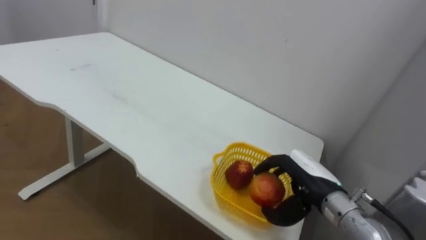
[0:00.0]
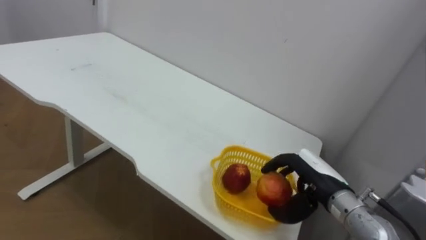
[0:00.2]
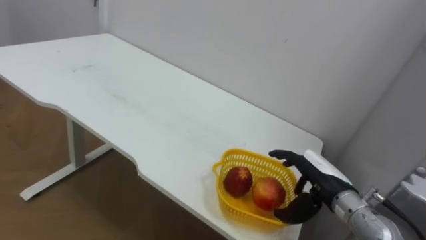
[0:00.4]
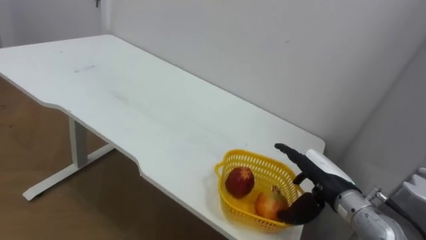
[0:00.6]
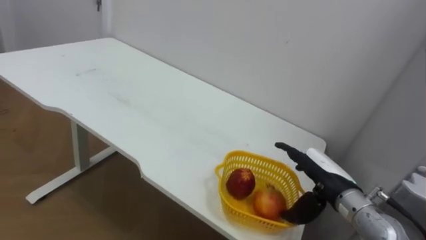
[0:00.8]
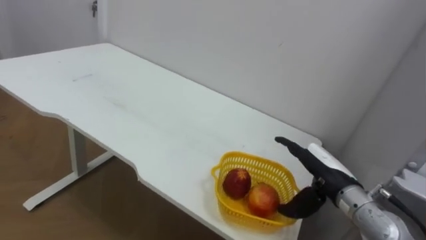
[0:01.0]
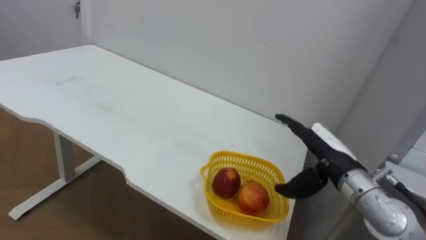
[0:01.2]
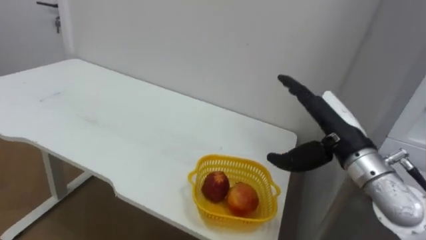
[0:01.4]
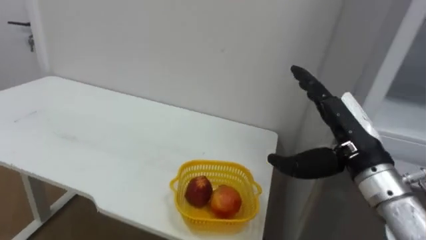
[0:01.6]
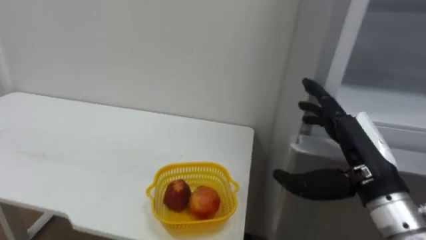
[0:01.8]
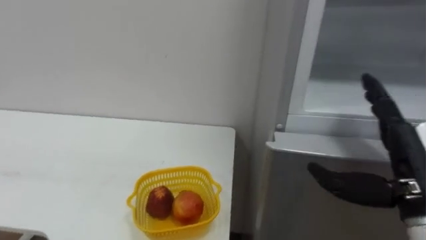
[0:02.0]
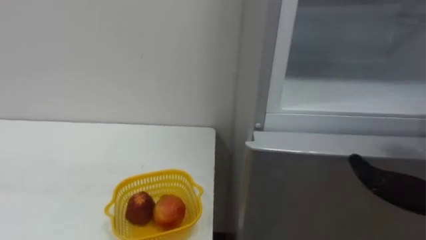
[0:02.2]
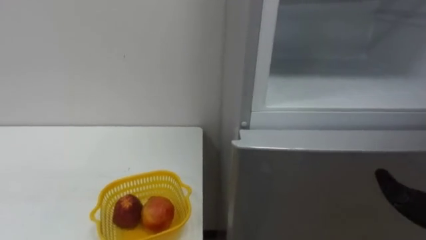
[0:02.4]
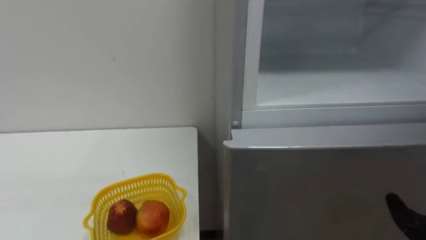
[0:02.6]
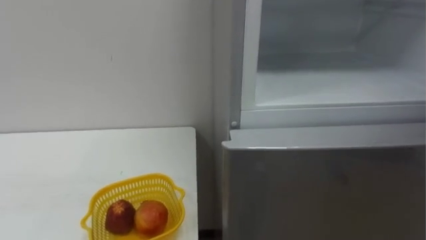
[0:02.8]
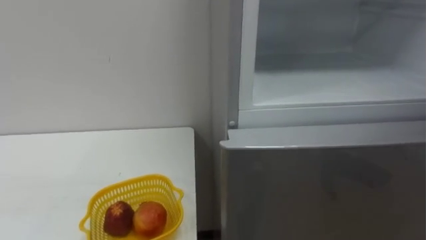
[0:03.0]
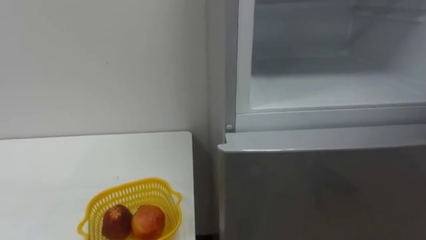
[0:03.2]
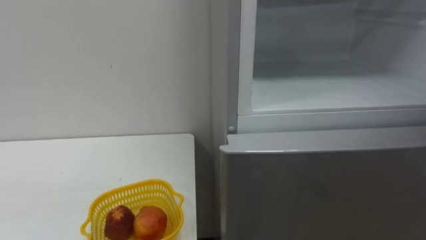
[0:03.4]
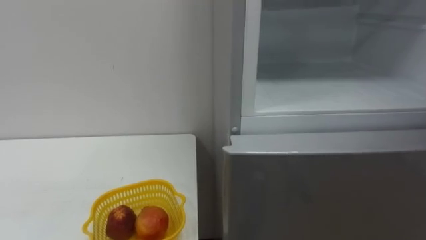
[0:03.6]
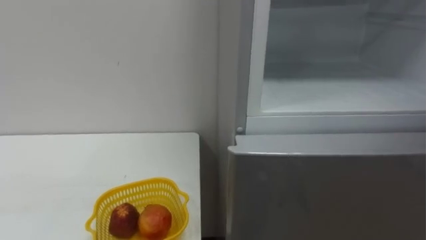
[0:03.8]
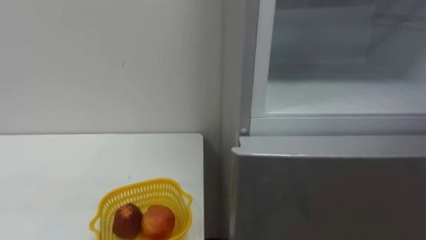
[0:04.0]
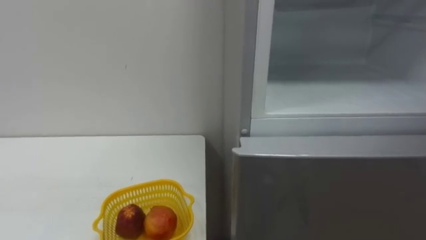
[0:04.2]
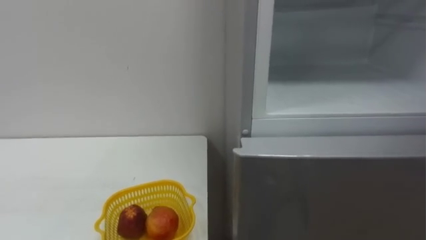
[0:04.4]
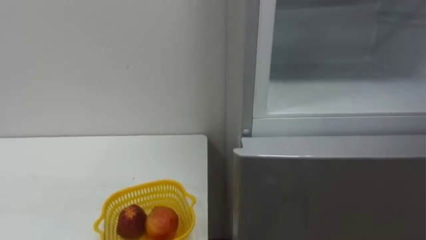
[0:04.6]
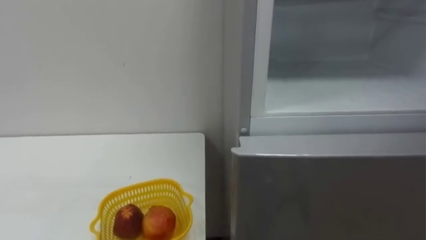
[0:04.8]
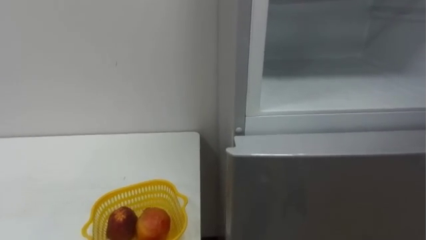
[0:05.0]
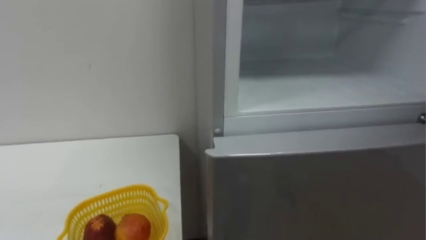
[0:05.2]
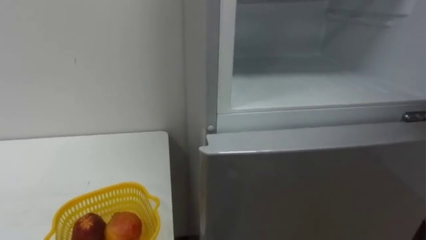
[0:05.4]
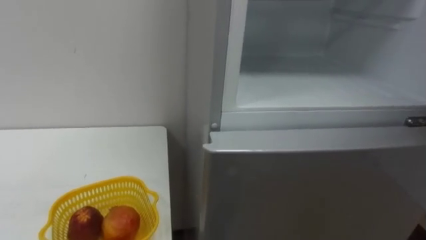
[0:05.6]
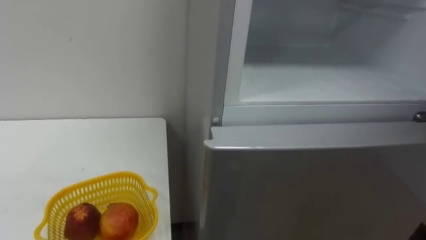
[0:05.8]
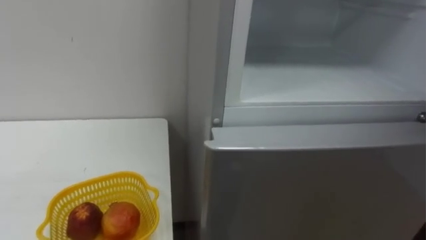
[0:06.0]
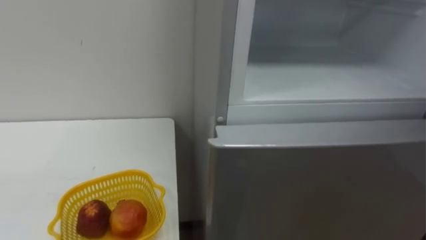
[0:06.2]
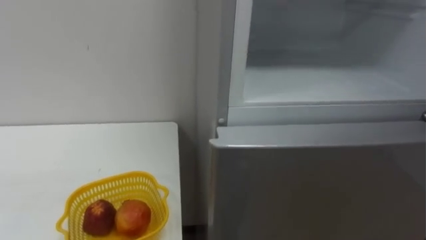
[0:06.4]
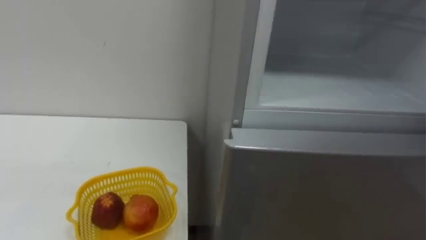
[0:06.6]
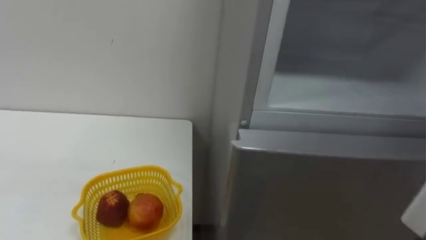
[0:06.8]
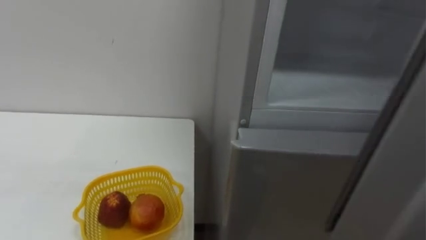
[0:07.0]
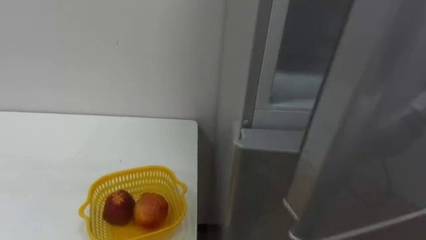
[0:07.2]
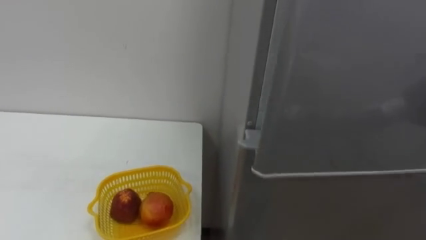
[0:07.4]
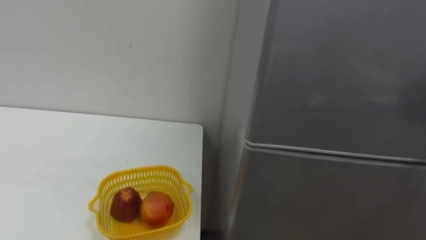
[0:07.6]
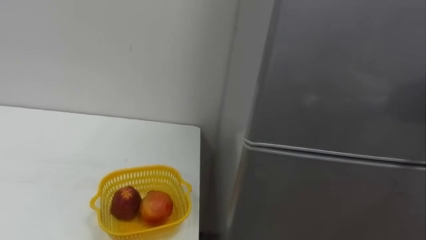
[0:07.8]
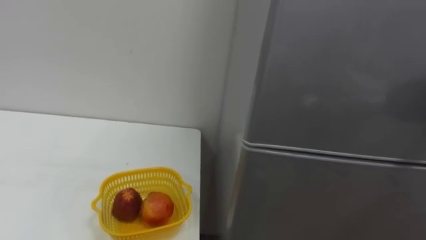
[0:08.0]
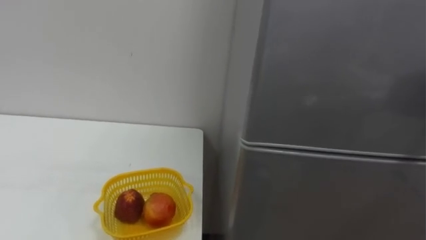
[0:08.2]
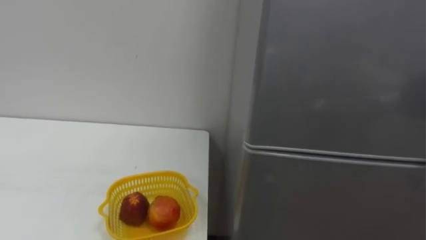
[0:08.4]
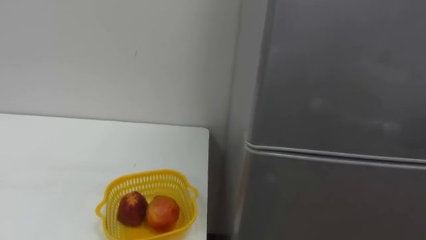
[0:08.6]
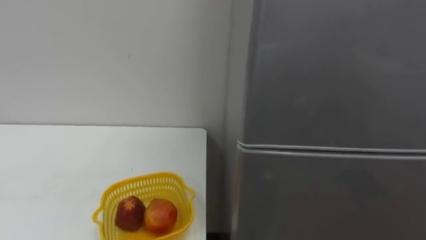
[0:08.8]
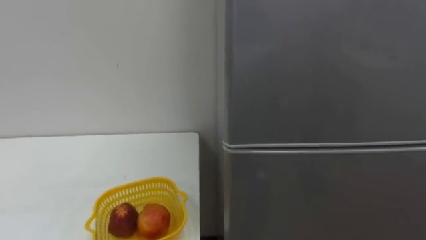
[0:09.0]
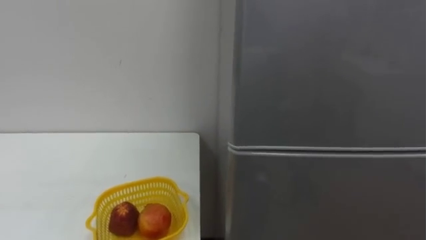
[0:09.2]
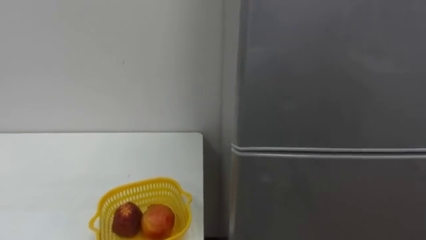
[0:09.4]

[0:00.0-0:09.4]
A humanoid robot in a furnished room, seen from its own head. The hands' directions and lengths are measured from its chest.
Task of the whole recording: Open the refrigerator door, take out the apple and the pomegranate, place them in the fruit basket on the left, and close the refrigerator door.
0:00.0 to 0:01.6: The right hand shifts about 10 cm upward, and opens its fingers.

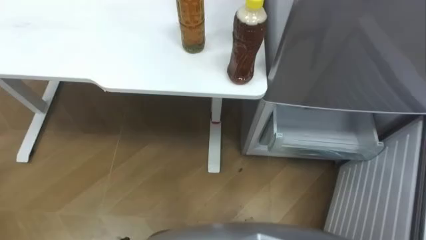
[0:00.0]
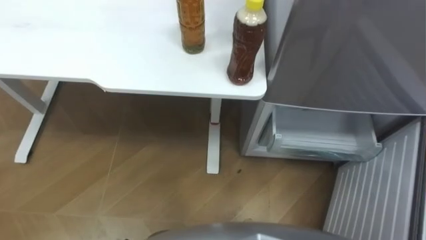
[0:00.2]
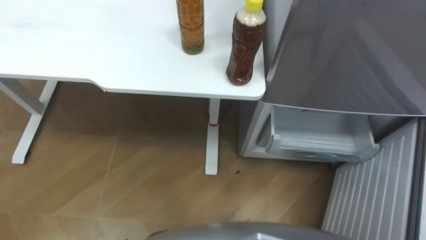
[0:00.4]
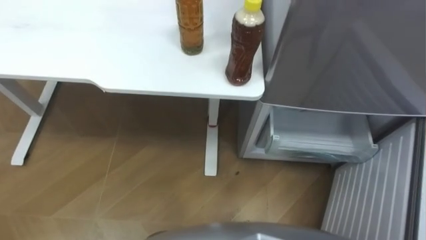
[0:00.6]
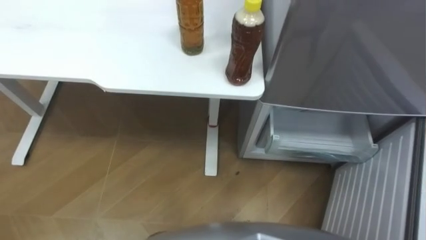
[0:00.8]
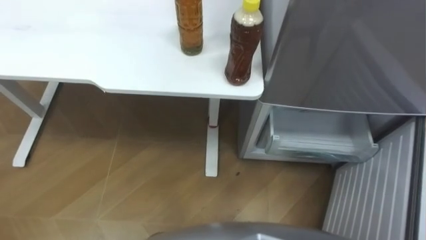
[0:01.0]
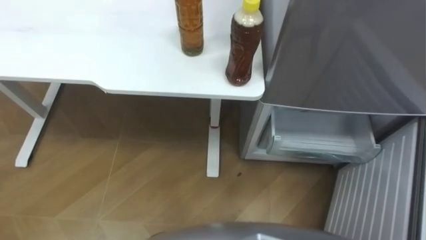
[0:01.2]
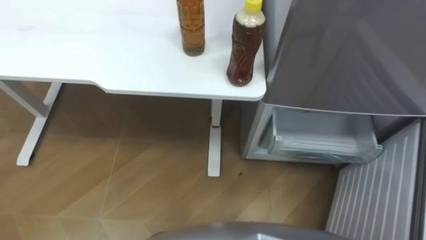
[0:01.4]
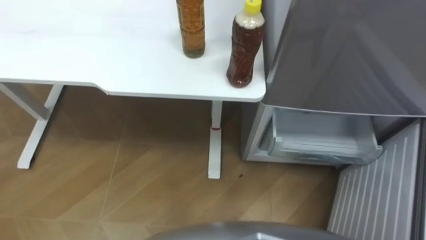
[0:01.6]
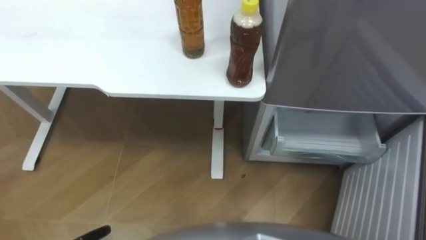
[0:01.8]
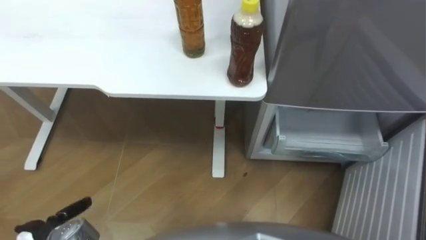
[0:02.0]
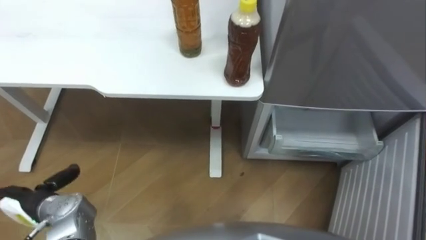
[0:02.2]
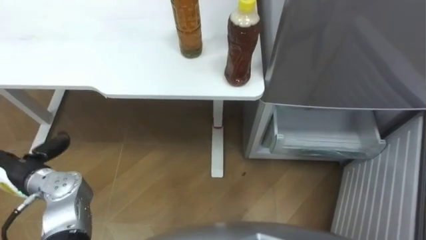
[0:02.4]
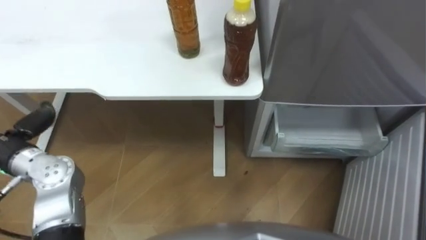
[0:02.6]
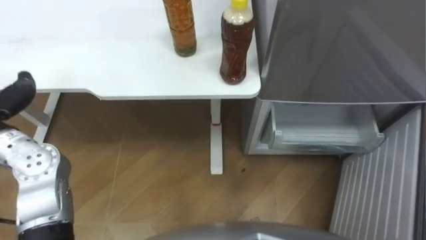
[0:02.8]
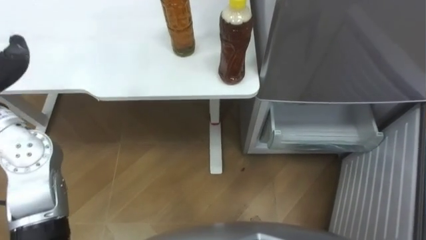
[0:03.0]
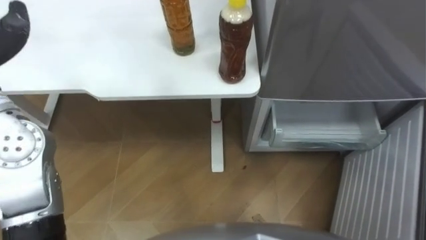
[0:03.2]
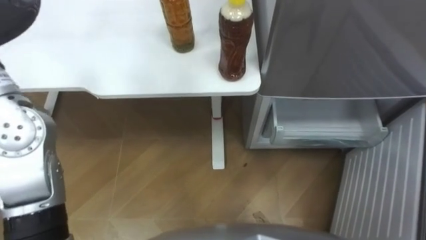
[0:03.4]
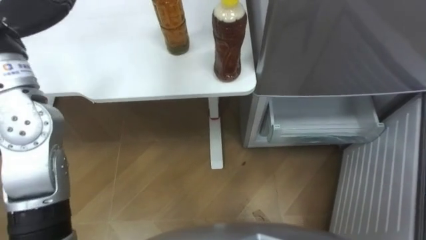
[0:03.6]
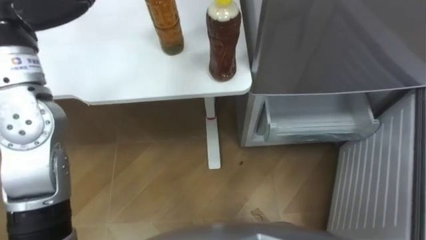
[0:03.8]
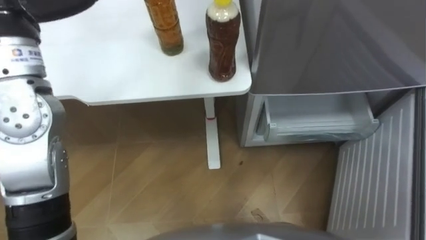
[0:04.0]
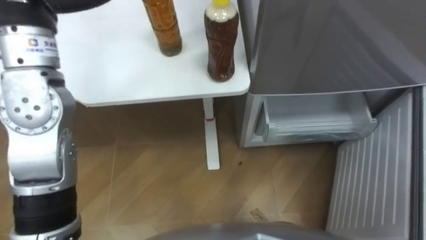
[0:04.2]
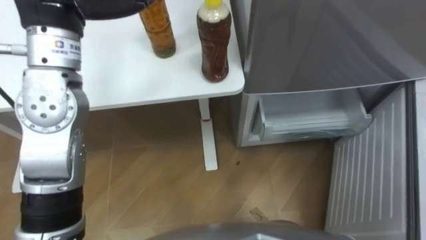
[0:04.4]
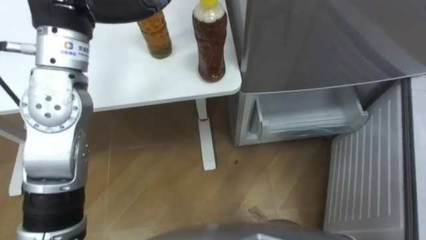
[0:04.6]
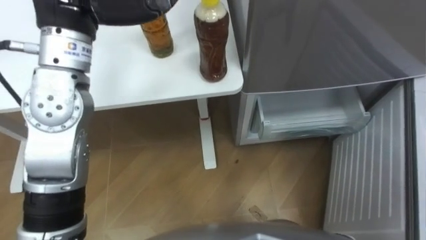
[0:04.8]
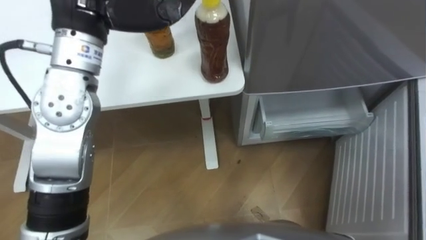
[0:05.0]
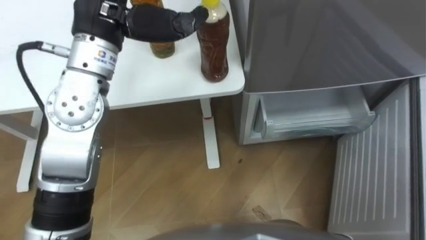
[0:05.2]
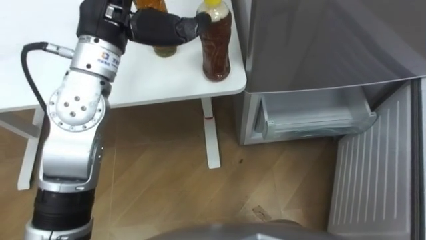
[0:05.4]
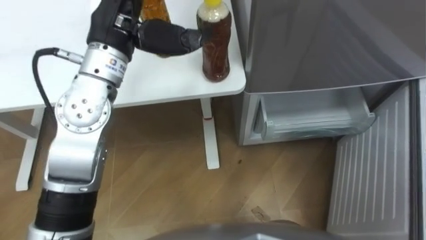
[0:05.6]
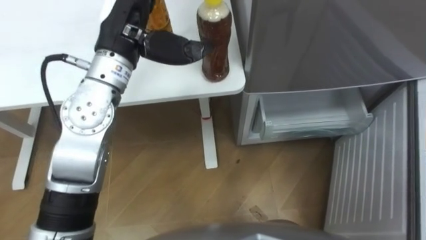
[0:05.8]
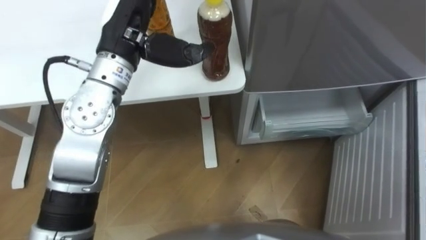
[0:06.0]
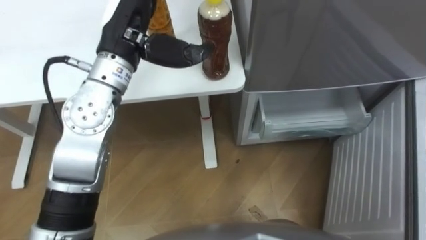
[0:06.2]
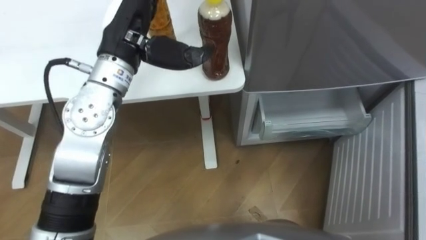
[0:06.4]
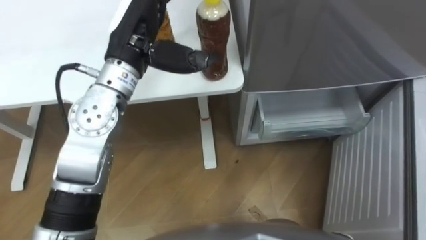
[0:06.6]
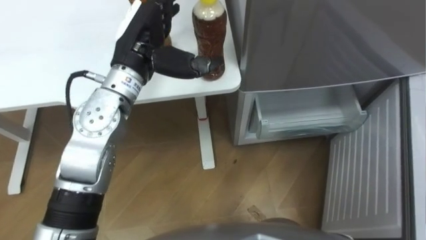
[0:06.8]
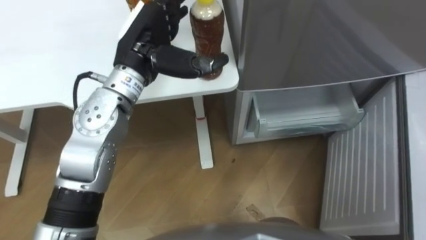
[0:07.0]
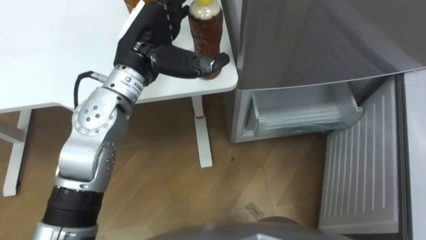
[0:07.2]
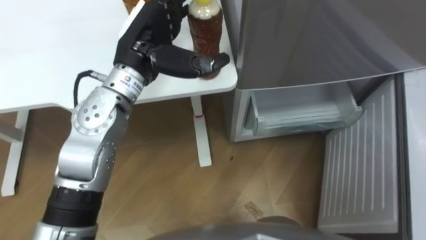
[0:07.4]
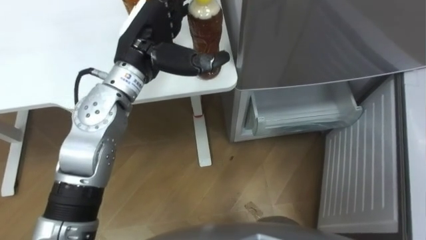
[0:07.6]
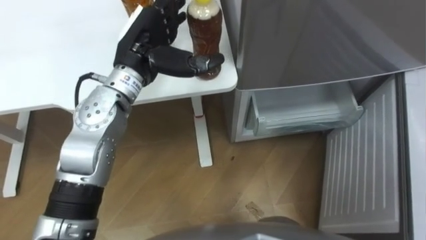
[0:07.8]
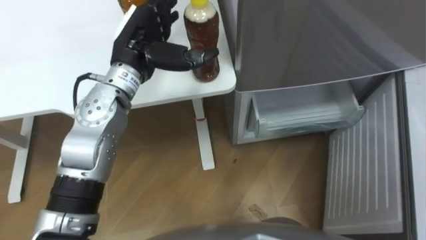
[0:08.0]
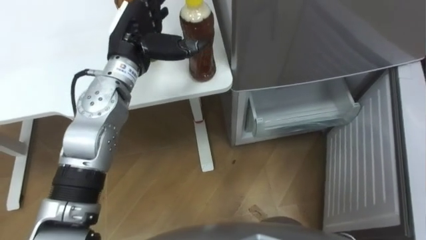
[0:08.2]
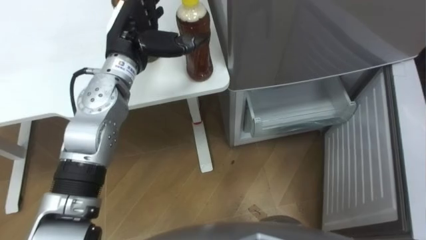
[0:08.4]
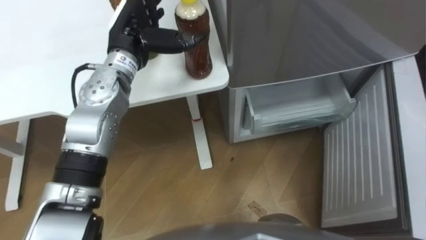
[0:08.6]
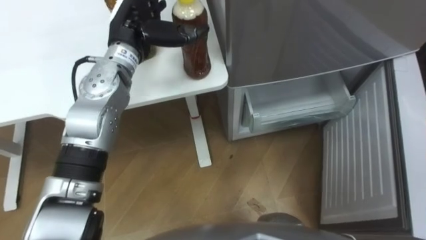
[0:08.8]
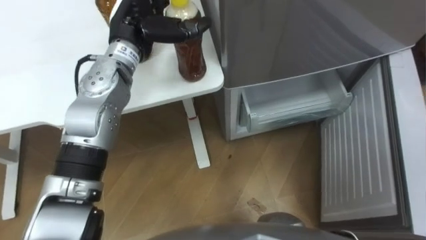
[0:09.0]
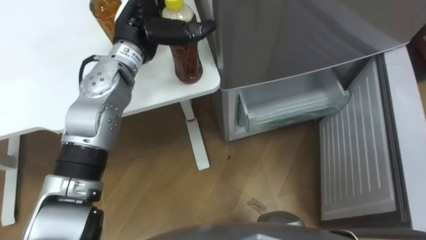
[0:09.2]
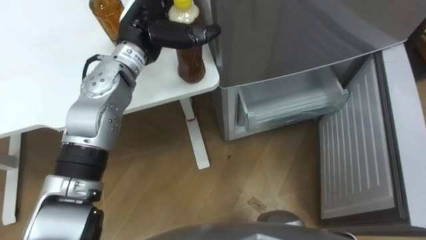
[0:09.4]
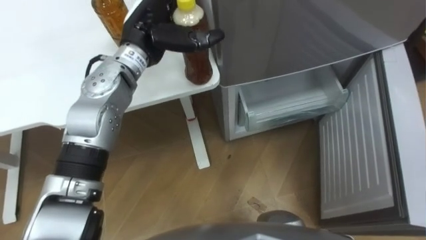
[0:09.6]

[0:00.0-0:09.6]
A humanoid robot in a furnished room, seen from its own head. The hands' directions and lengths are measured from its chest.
Task of the whole recording: Place the drink on the table on the bottom shelf of the refrigerator, then close the drawer and the refrigerator door.
0:04.8 to 0:06.4: The left hand moves downward, about 10 cm.
0:06.4 to 0:08.0: The left hand shifts roughly 5 cm downward.
